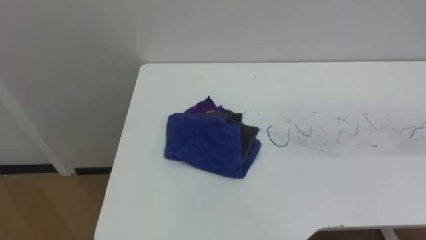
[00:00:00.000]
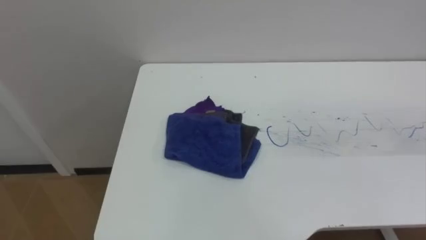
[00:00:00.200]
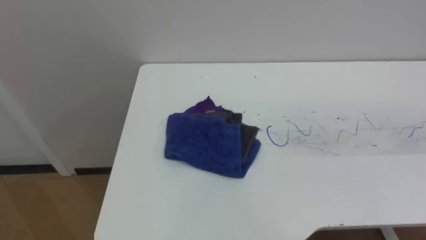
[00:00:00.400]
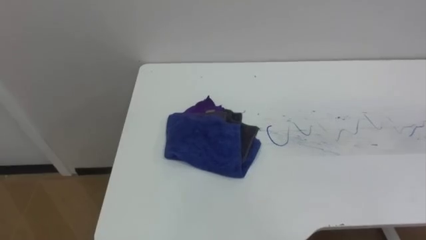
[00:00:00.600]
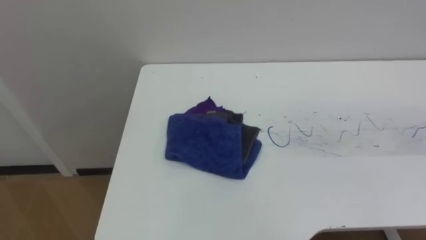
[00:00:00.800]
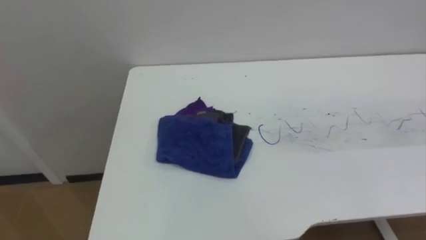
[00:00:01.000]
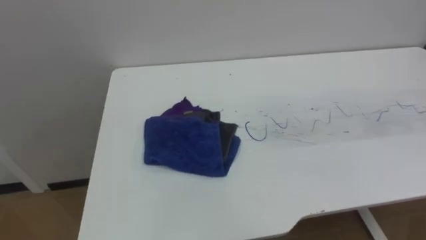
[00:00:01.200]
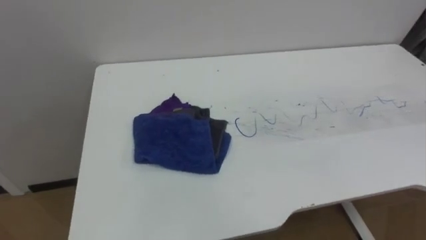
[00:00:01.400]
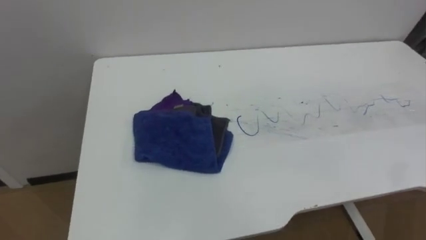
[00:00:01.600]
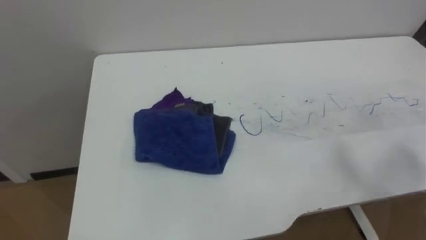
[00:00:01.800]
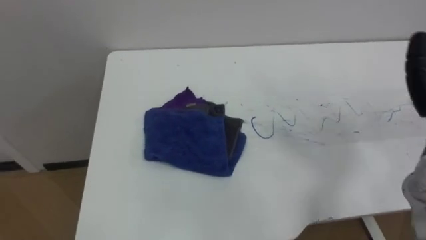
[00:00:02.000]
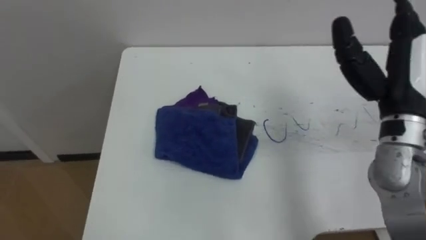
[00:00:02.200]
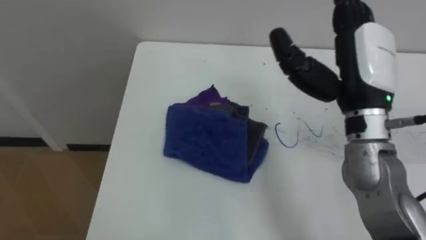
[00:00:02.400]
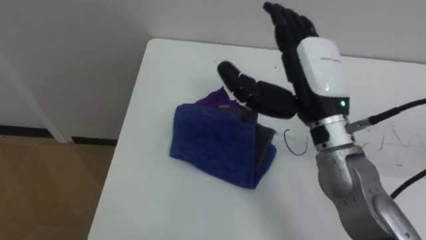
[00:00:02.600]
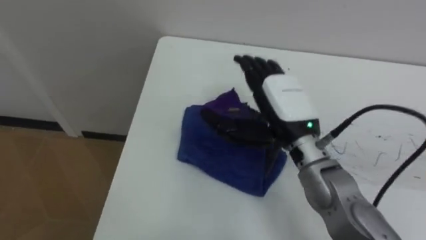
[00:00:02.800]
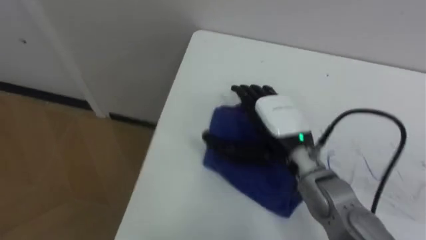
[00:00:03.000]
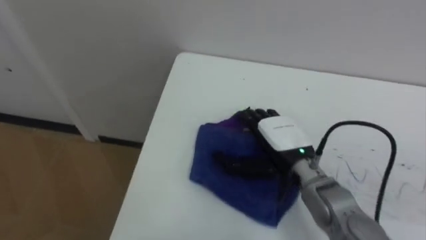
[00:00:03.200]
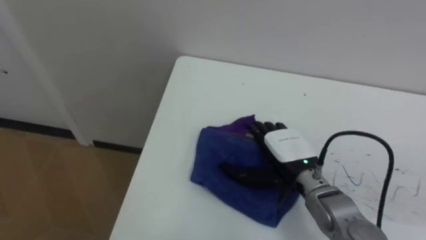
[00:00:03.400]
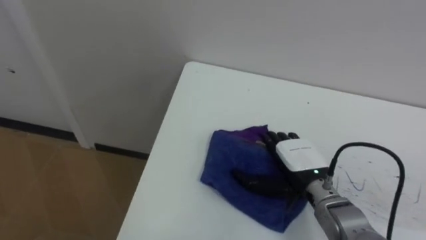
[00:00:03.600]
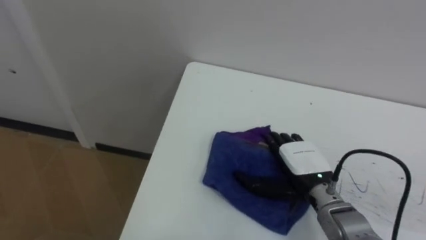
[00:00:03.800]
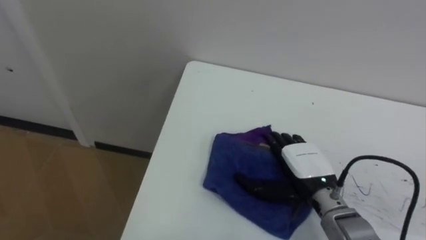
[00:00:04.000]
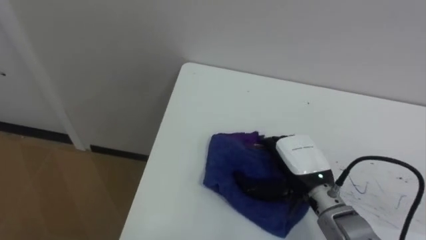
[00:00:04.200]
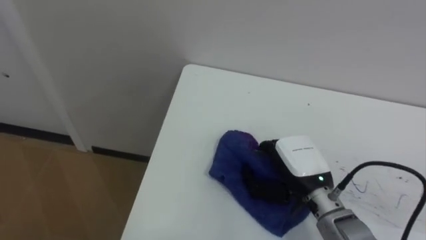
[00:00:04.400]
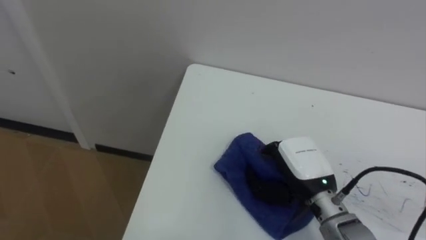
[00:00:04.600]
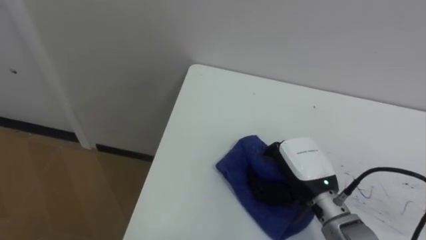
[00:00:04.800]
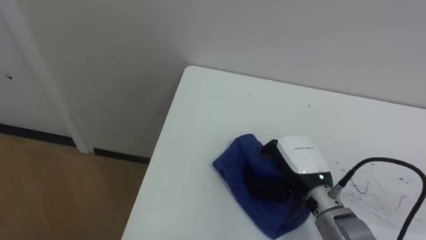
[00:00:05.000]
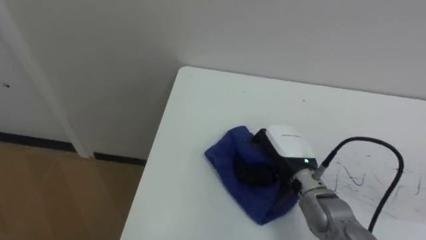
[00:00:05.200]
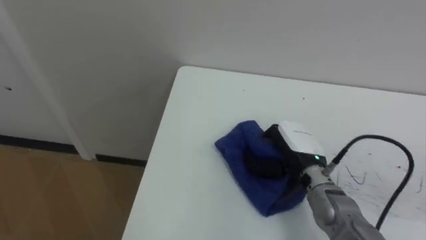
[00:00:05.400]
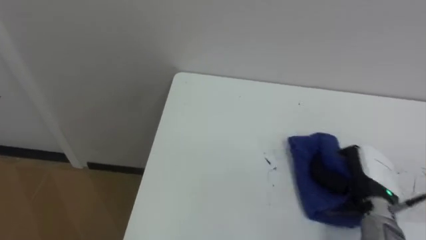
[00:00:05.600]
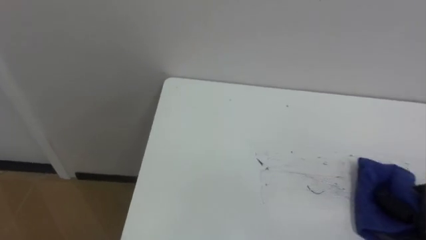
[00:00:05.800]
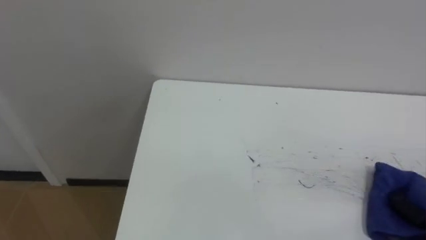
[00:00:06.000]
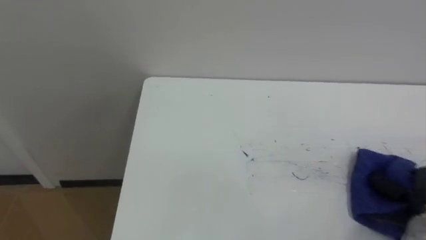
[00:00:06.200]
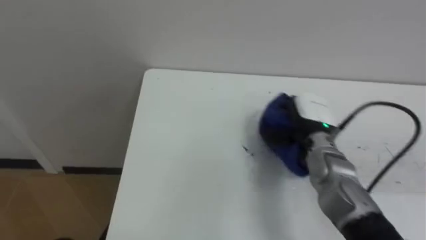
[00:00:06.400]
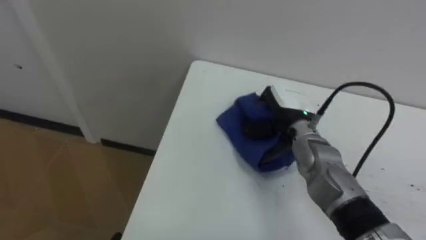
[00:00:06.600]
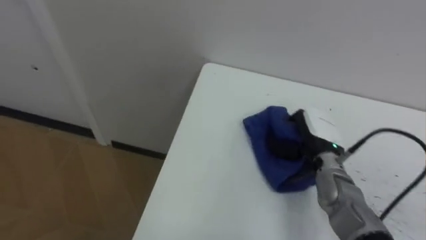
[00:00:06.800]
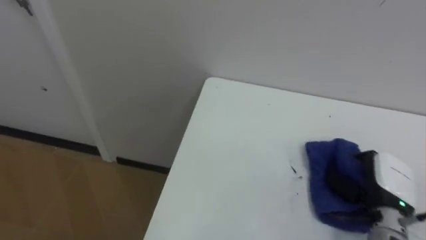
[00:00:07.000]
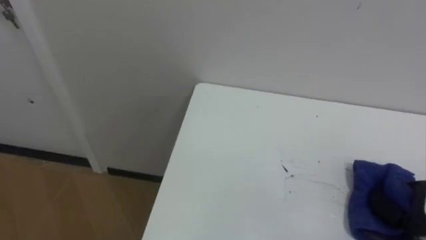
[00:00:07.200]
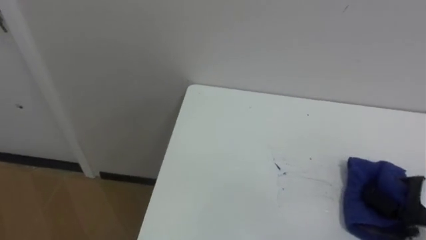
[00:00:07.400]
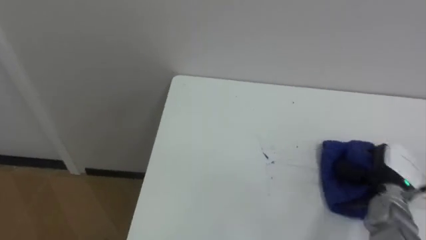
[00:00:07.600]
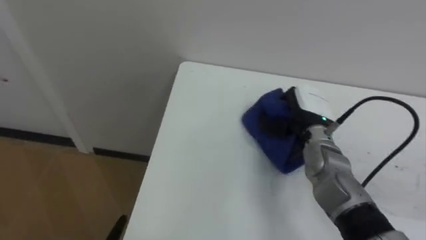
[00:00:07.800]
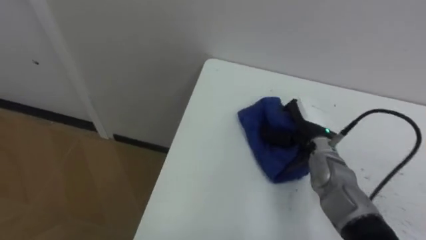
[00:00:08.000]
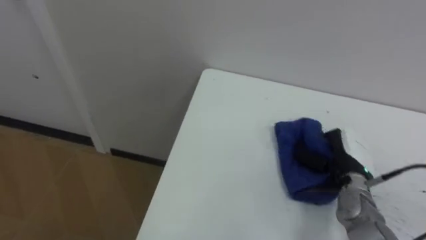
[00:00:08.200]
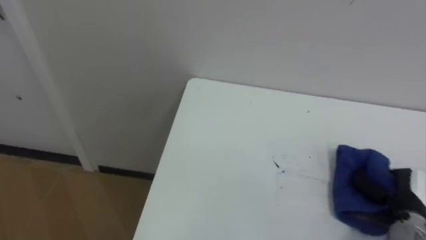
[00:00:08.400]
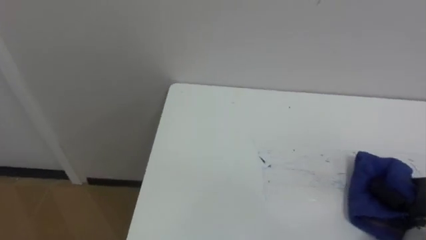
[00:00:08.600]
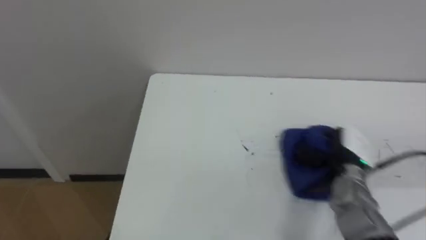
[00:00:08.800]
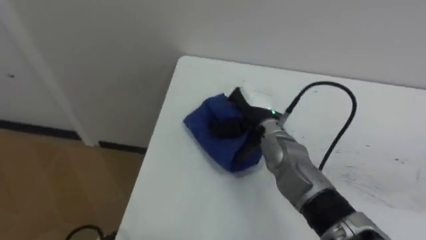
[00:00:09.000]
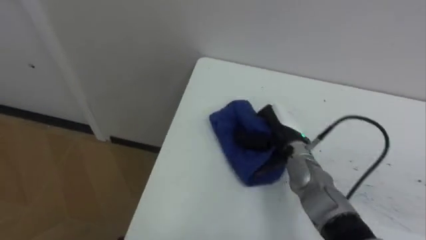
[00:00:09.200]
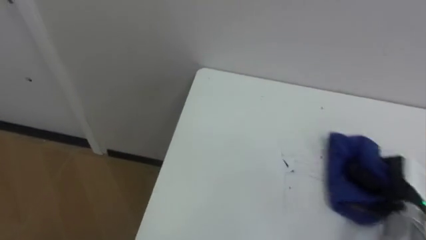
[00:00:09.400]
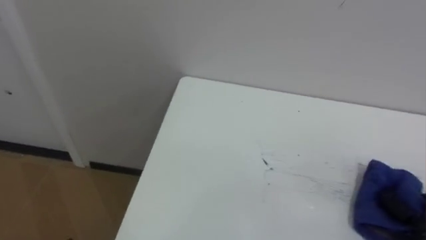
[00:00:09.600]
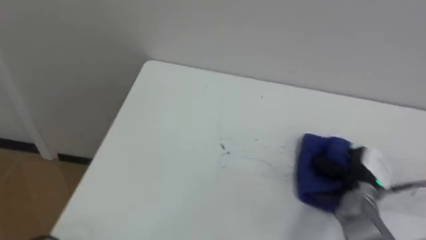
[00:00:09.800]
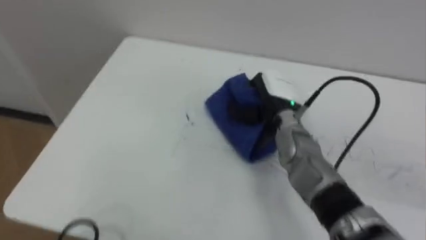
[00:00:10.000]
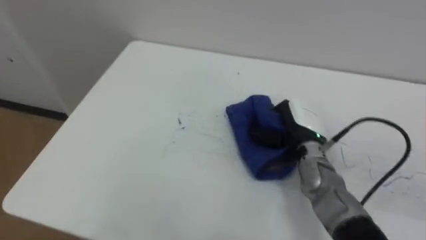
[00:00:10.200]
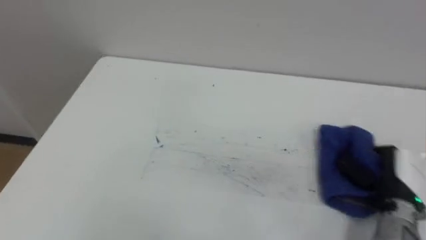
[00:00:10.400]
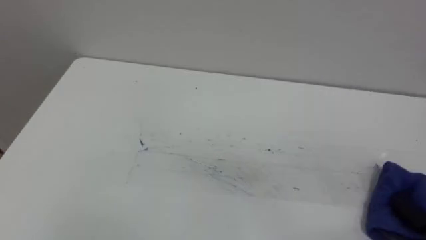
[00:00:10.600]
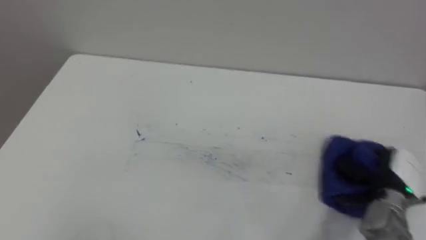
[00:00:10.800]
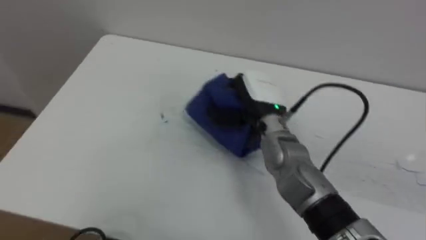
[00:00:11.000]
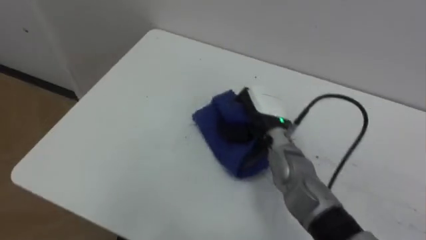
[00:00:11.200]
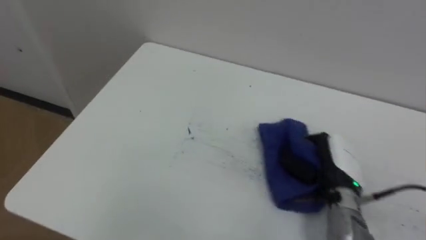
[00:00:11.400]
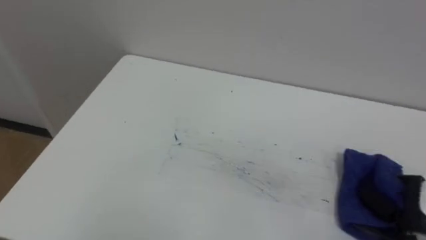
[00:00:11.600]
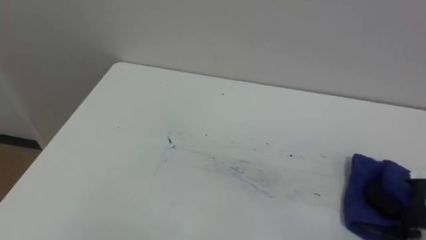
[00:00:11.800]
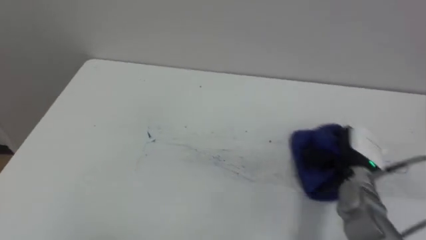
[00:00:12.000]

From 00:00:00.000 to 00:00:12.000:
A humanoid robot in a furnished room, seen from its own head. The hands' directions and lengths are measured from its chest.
Task of the whole recording: Wipe the blue pen marks off the table with the rag.
From 00:00:03.000 to 00:00:04.400: The right hand heads downward, covering some 5 cm, and closes up.
From 00:00:07.600 to 00:00:09.000: The right hand goes left and right, some 30 cm each way, reversing 2 times.

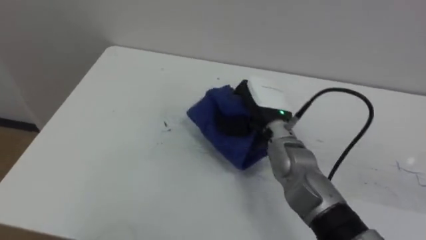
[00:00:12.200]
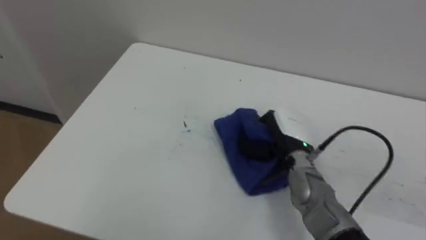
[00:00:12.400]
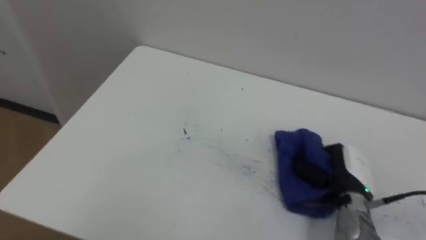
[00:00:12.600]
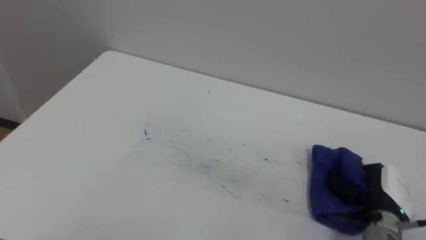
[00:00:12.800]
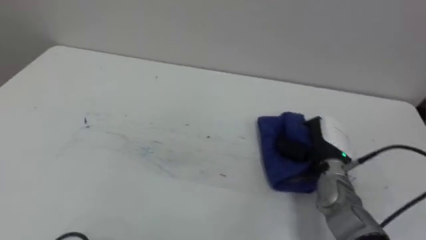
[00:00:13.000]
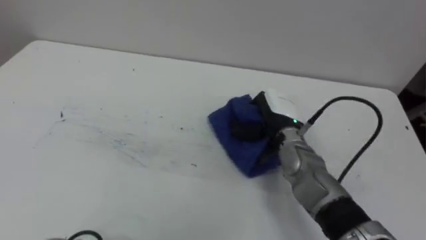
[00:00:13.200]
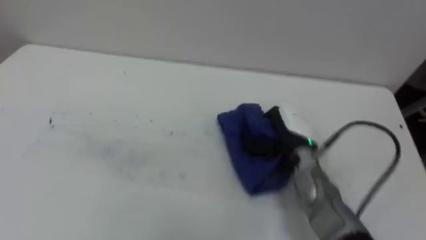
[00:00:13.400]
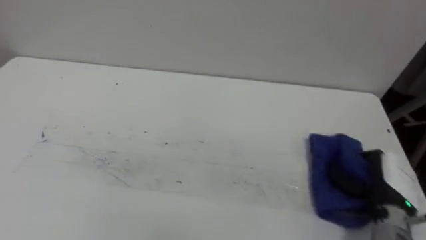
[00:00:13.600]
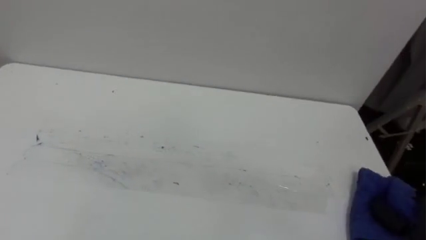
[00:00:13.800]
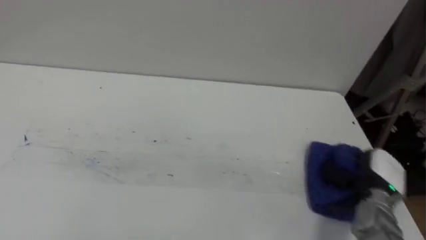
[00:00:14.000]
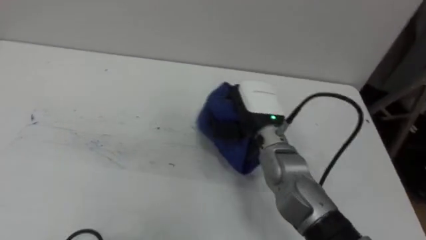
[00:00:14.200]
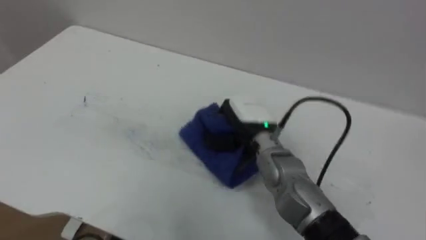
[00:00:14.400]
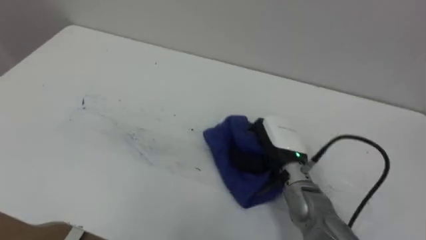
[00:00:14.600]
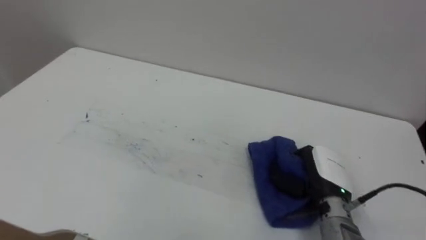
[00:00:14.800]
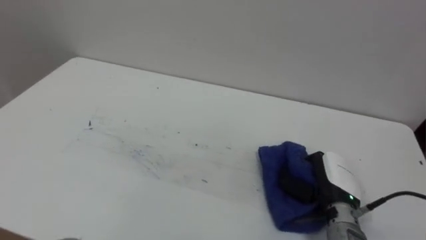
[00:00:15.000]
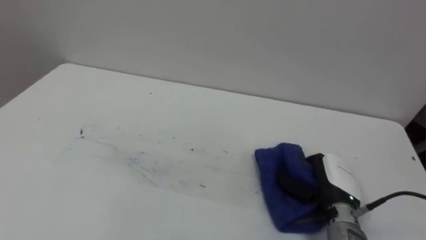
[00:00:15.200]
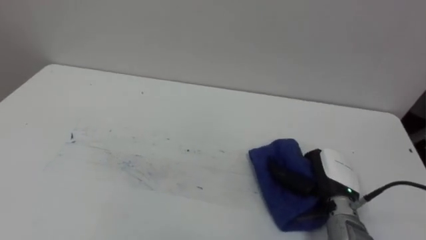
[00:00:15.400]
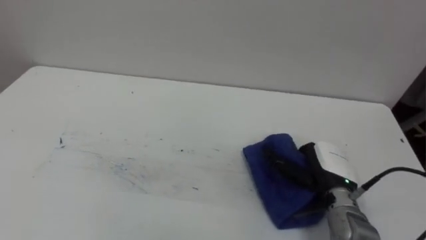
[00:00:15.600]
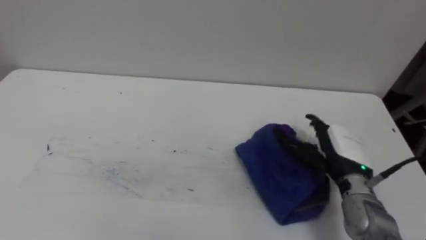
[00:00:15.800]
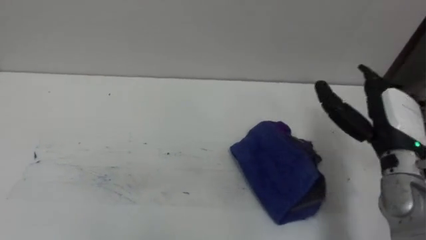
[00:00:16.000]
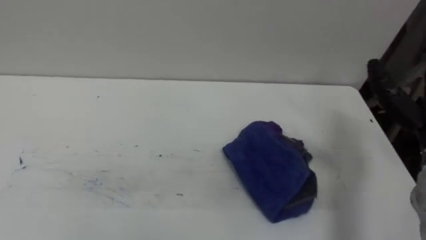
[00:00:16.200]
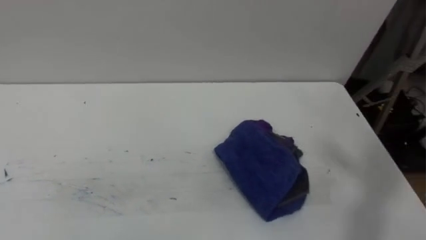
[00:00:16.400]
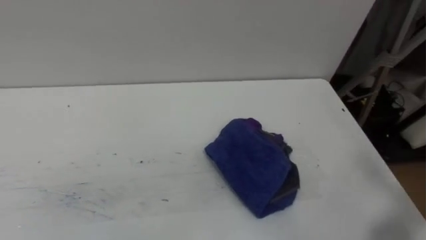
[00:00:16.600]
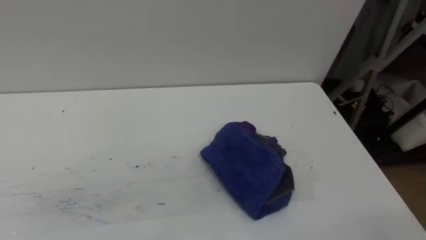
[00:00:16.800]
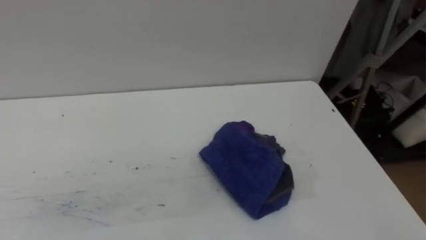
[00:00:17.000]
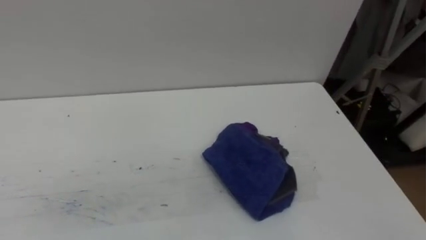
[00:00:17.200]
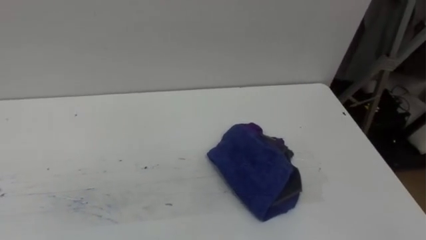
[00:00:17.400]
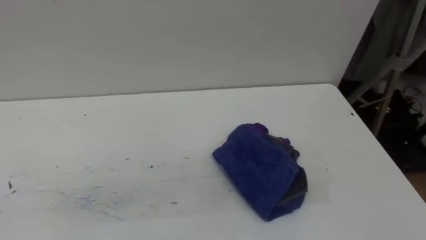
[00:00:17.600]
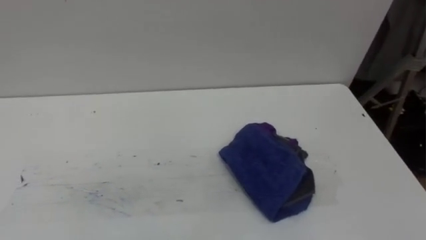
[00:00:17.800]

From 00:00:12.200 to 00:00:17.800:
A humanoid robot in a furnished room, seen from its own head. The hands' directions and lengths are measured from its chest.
Task of the whole recording: Wipe the blue pen marks off the table with the rag.
From 00:00:12.200 to 00:00:13.600: The right hand moves left and right over roughly 20 cm, changing direction 2 times.
From 00:00:13.600 to 00:00:15.000: The right hand moves left and right over some 35 cm, changing direction 2 times.
